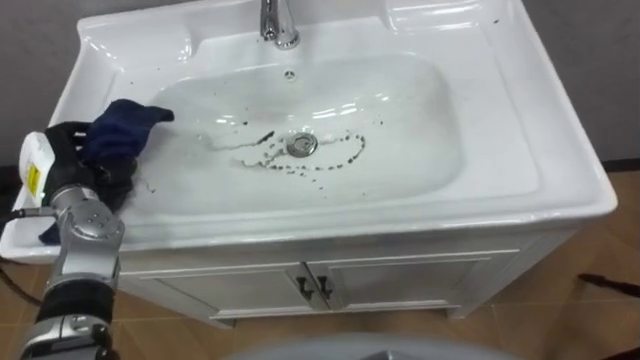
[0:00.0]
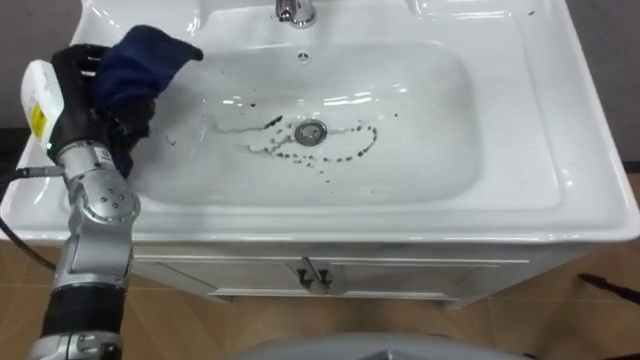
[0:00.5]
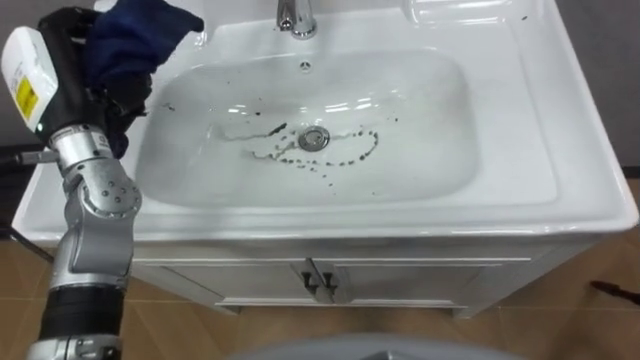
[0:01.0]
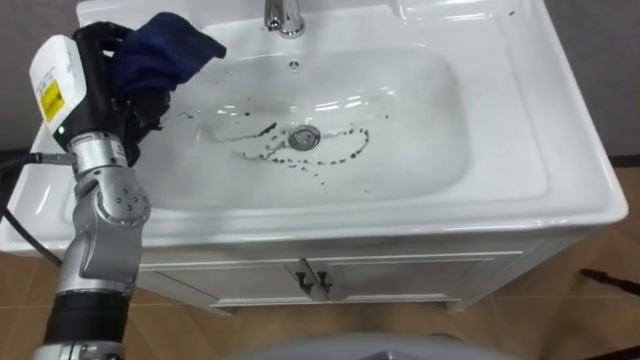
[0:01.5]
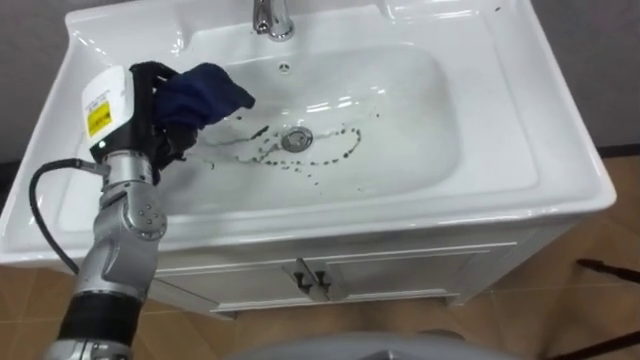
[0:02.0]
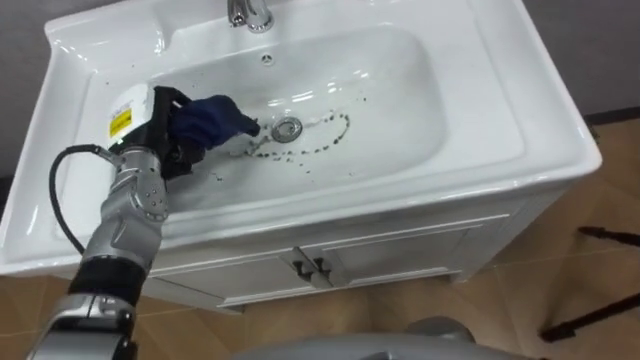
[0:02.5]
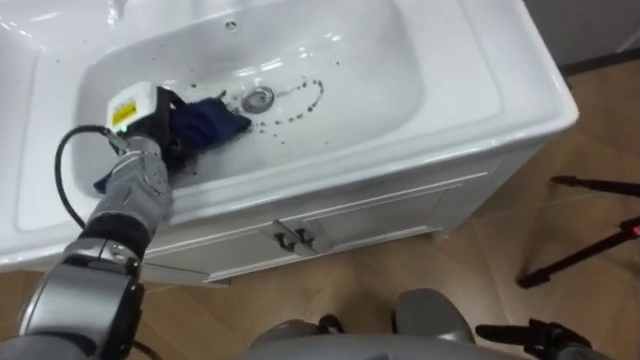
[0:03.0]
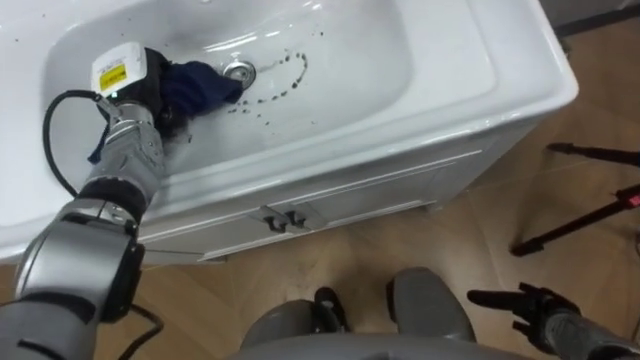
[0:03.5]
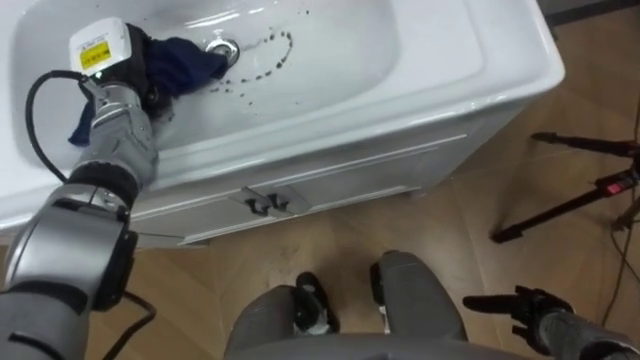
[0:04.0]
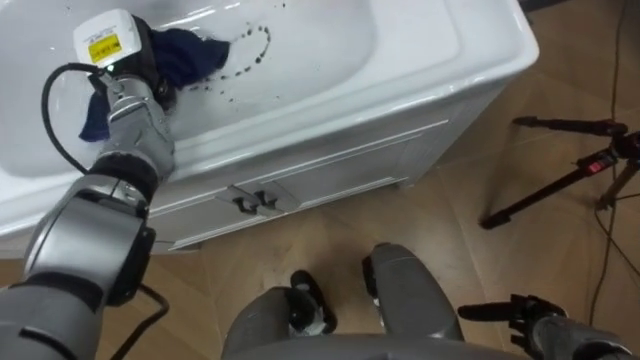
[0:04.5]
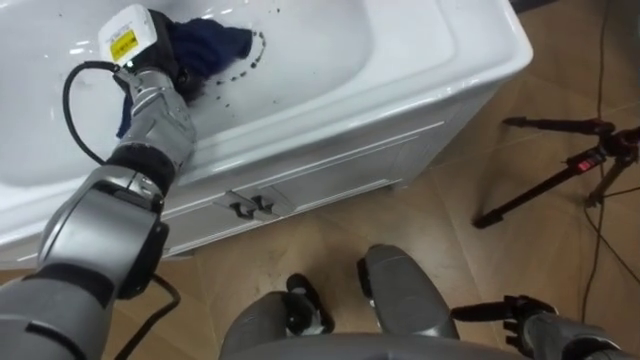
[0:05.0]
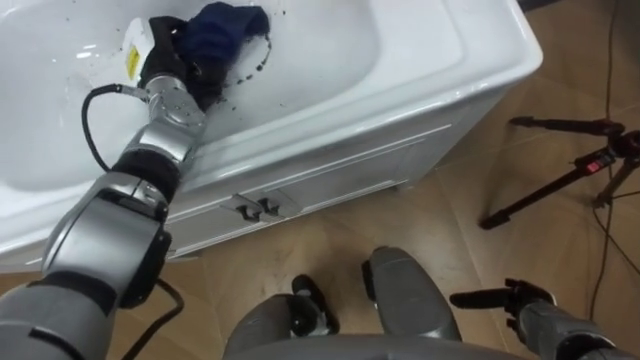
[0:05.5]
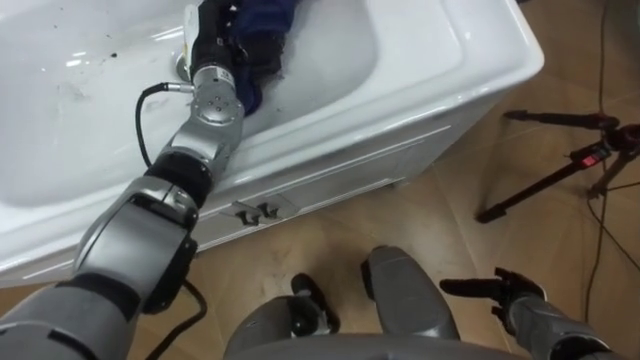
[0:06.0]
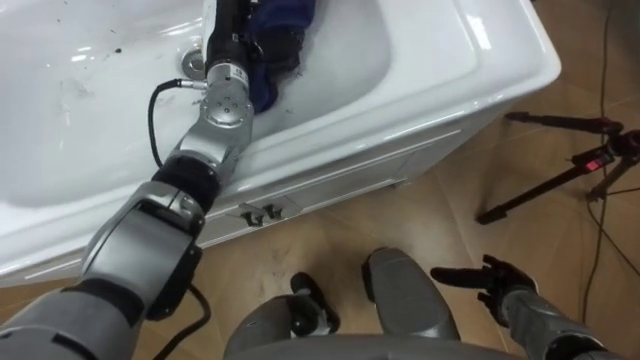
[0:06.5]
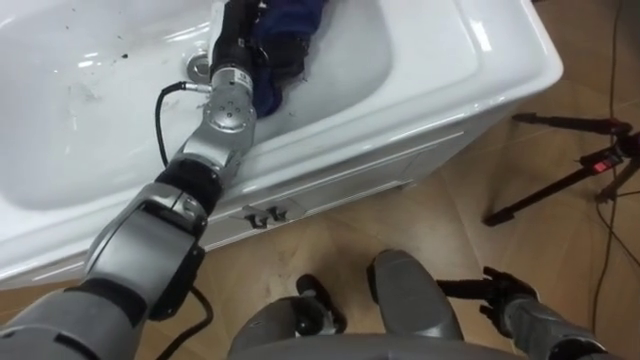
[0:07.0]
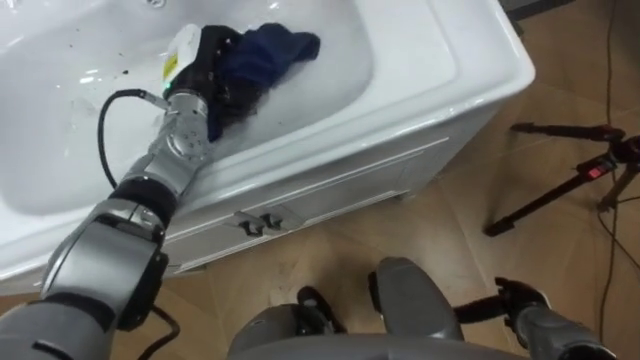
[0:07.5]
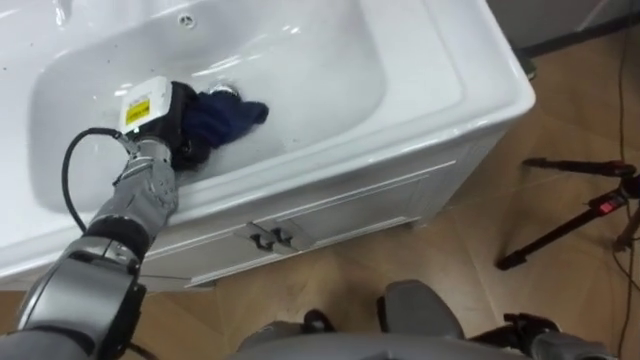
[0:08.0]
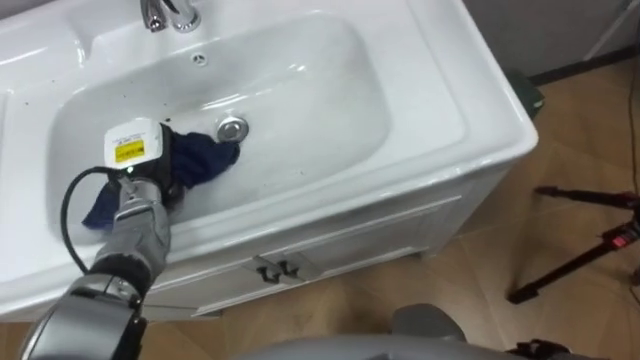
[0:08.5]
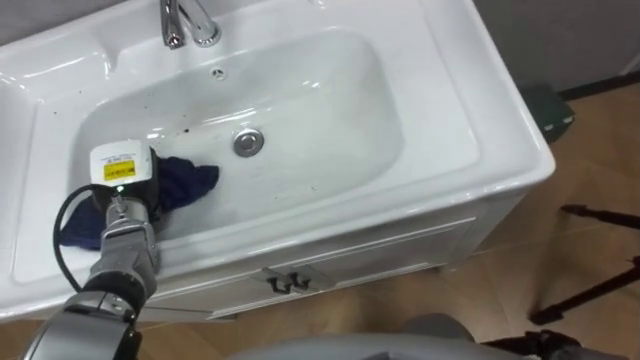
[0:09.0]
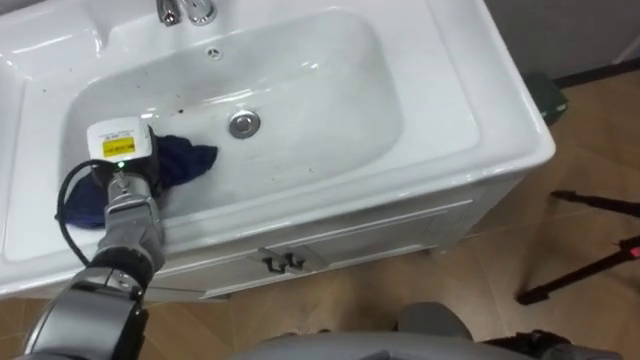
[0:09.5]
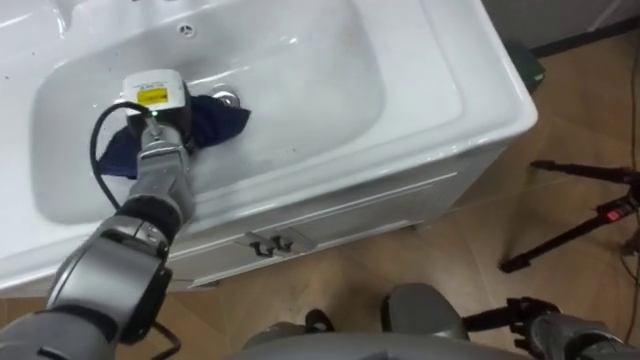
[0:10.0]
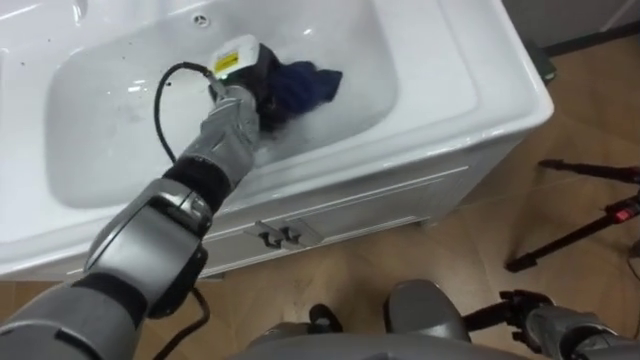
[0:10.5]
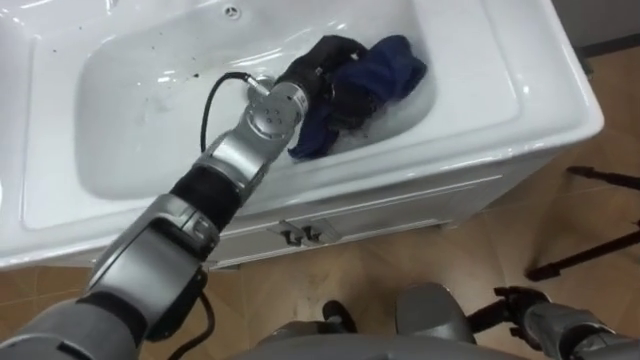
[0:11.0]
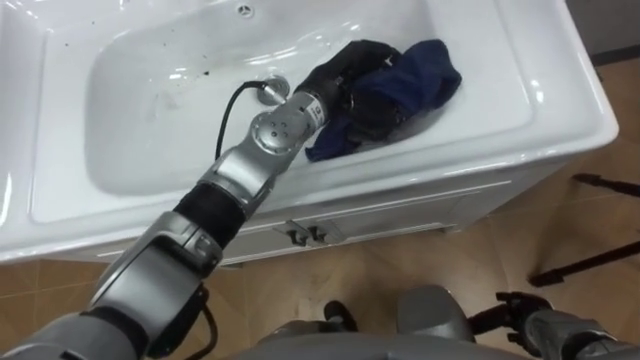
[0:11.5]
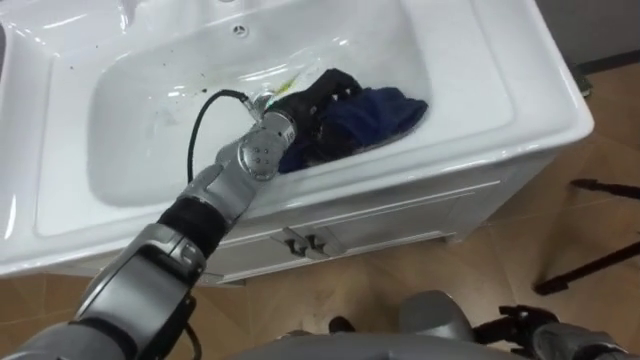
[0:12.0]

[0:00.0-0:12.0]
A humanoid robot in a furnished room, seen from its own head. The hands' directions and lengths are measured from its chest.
Task of the whole recording: Use the cloth on the right to wipe away the black stain in the sink.
0:00.0 to 0:02.0: The left hand moves to the right and upward, about 10 cm.
0:02.0 to 0:04.0: The left hand moves forward, approximately 10 cm.
0:04.0 to 0:06.0: The left hand goes some 15 cm to the right.
0:06.0 to 0:08.0: The left hand heads to the left, downward and backward, covering approximately 15 cm. Meanwhile the right hand is displaced backward by about 5 cm.
0:08.0 to 0:10.0: The left hand goes backward and returns, about 5 cm each way.
0:10.0 to 0:12.0: The left hand moves to the right, roughly 20 cm.

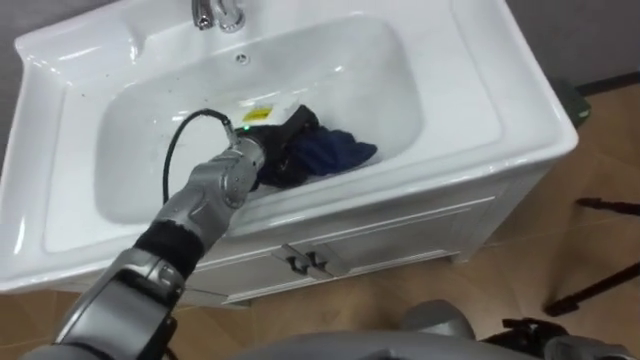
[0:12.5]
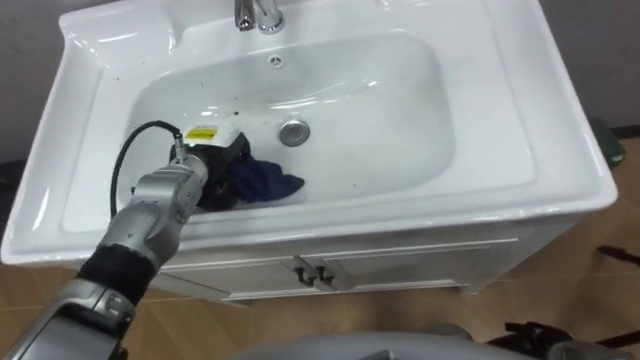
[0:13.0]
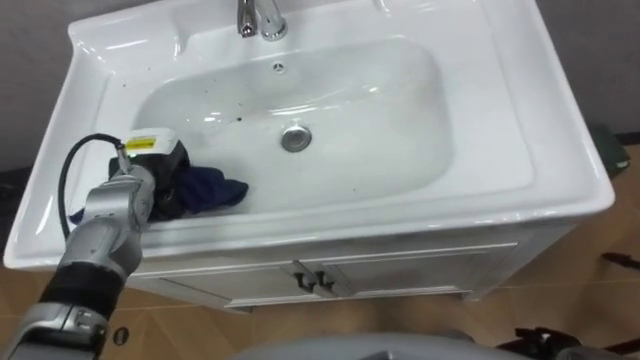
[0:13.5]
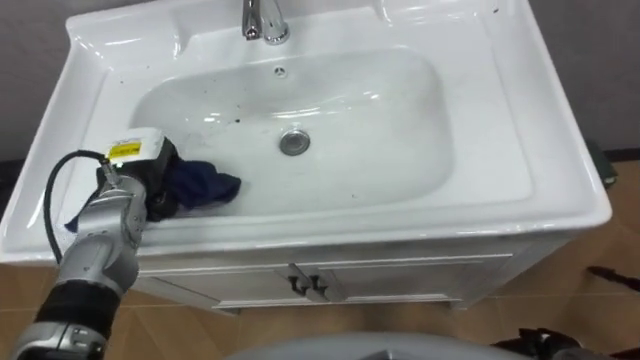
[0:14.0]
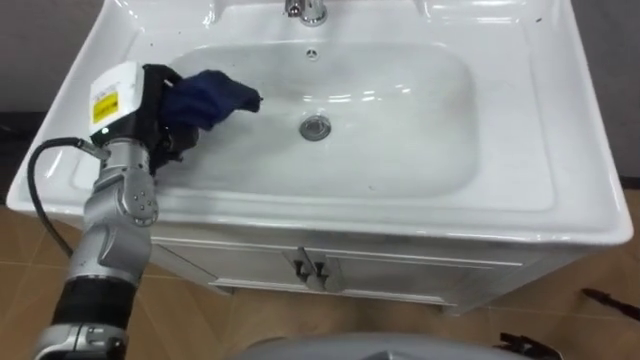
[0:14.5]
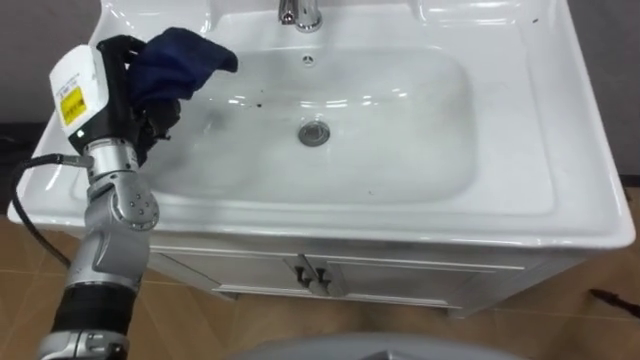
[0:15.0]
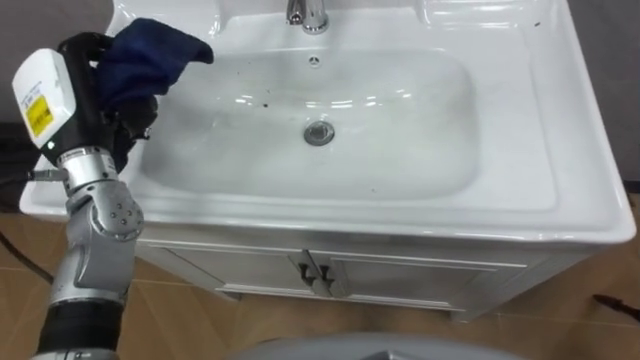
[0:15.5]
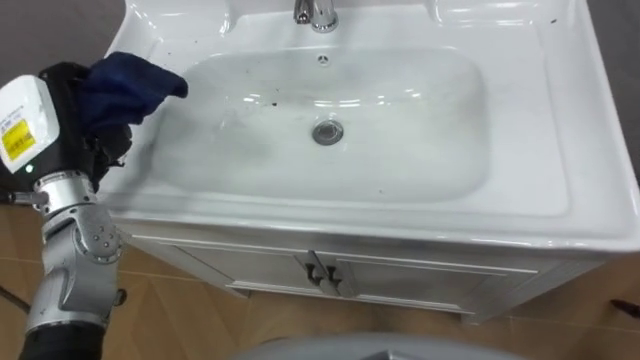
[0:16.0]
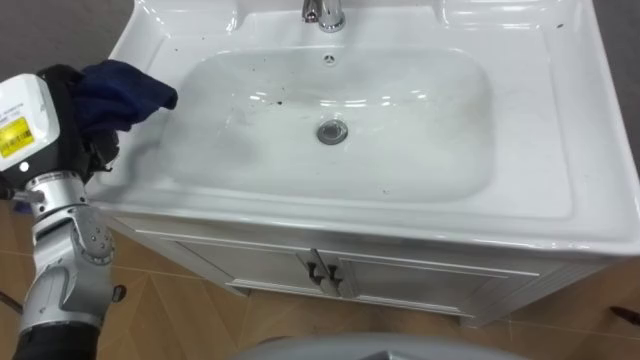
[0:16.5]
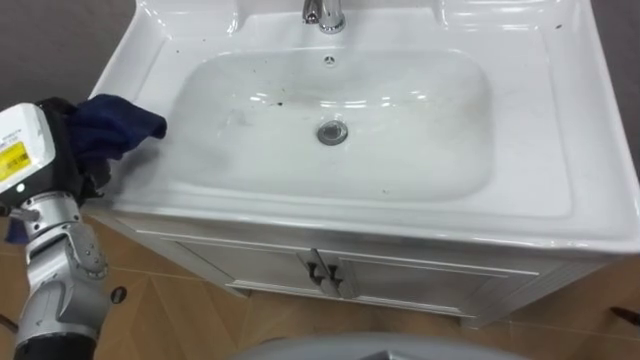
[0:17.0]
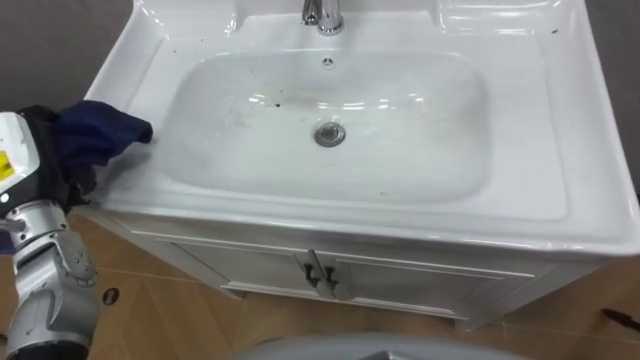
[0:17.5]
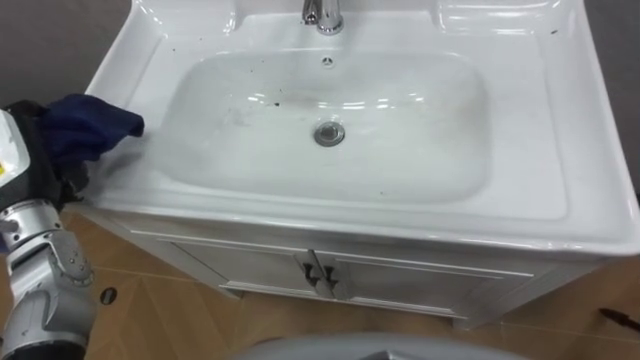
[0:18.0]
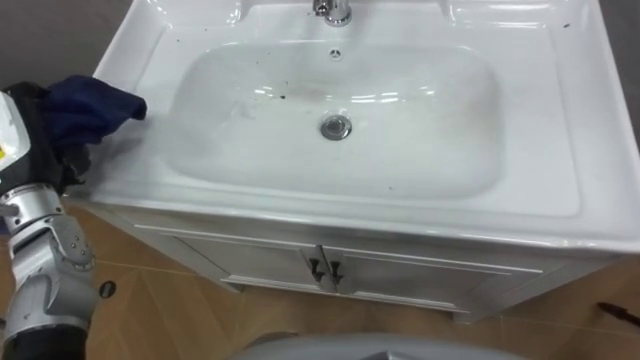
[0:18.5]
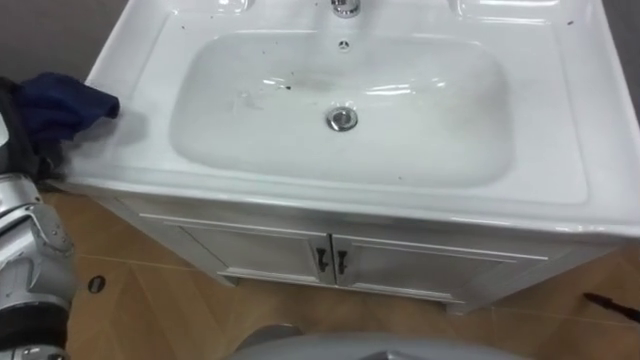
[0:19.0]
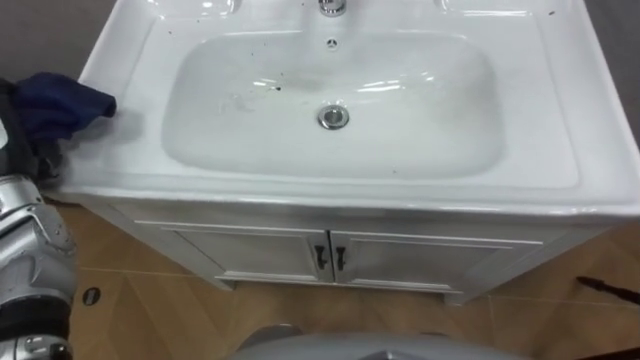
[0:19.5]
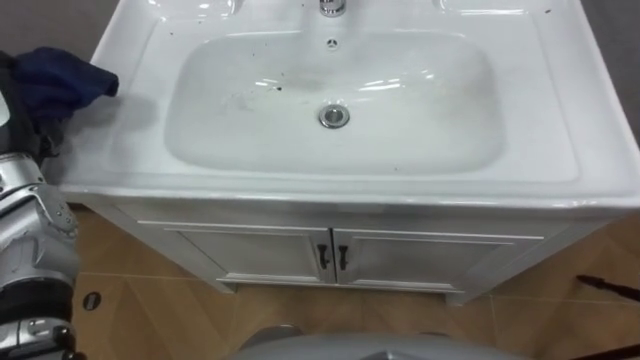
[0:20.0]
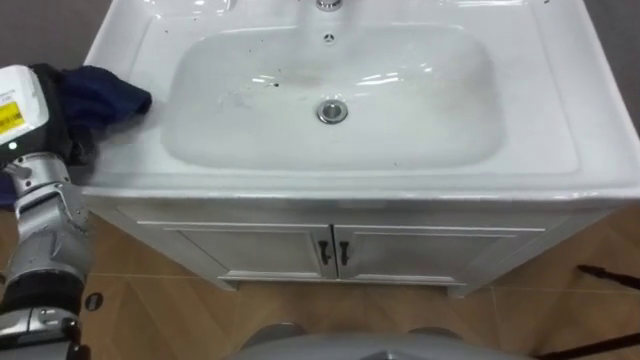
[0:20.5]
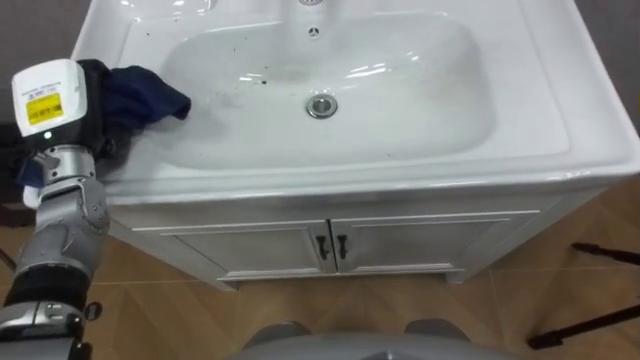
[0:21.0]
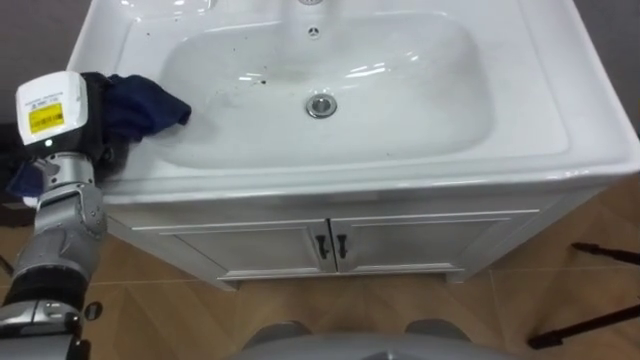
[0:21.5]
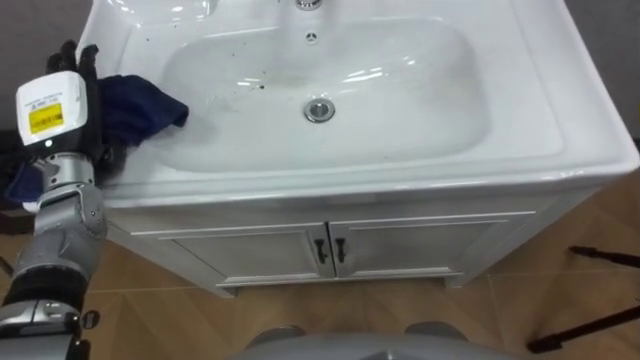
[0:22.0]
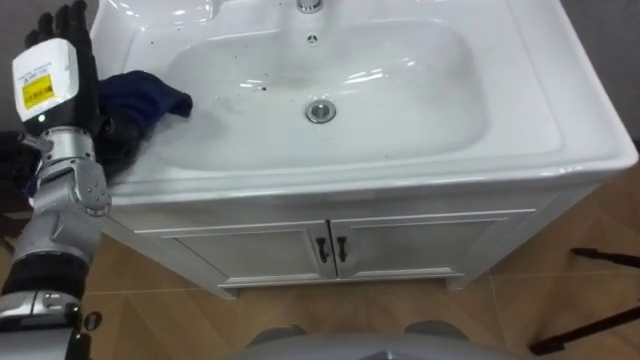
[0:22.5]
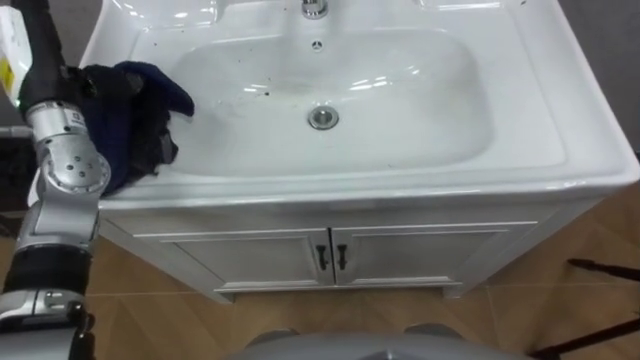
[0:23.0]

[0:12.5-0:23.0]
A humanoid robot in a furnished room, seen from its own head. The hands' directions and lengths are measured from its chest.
Task of the whole recording: Use the cloth on the right to wipe away the black stain in the sink.
0:12.5 to 0:14.5: The left hand heads to the left and upward, covering about 20 cm.
0:14.5 to 0:16.5: The left hand is displaced to the left and backward by approximately 10 cm.
0:21.0 to 0:23.0: The left hand moves upward, roughly 5 cm, and opens.
